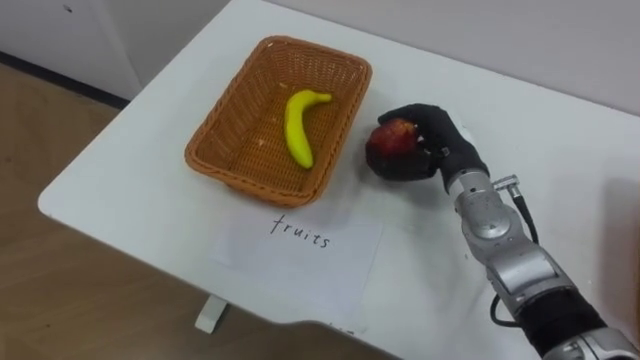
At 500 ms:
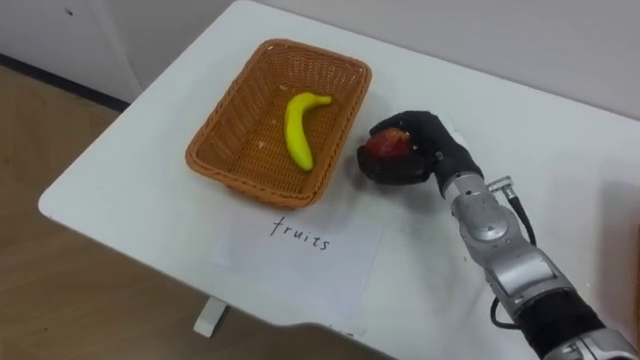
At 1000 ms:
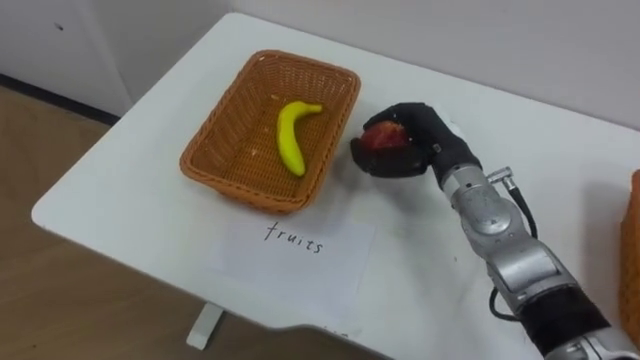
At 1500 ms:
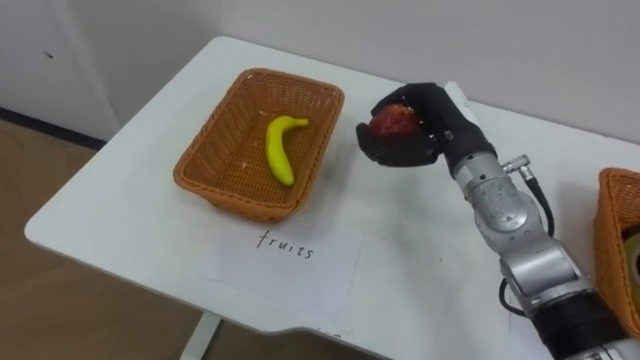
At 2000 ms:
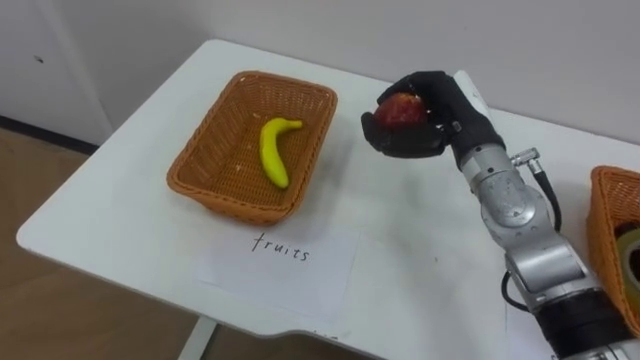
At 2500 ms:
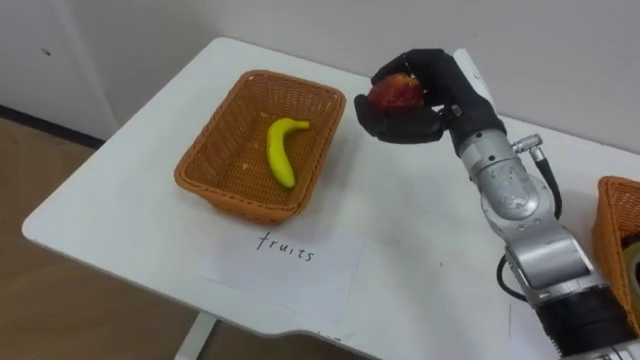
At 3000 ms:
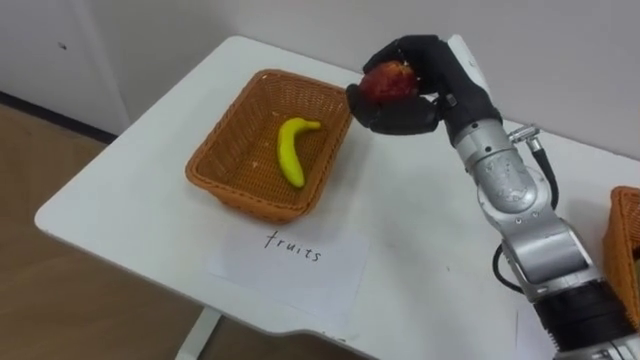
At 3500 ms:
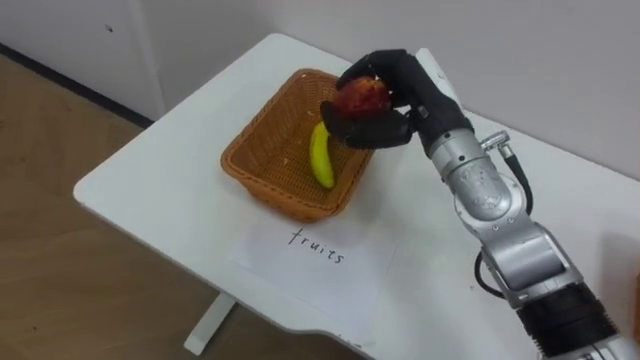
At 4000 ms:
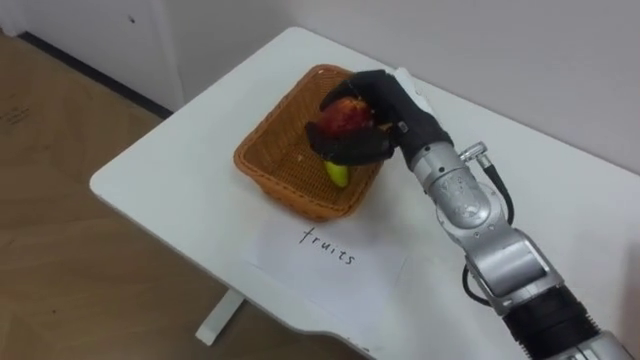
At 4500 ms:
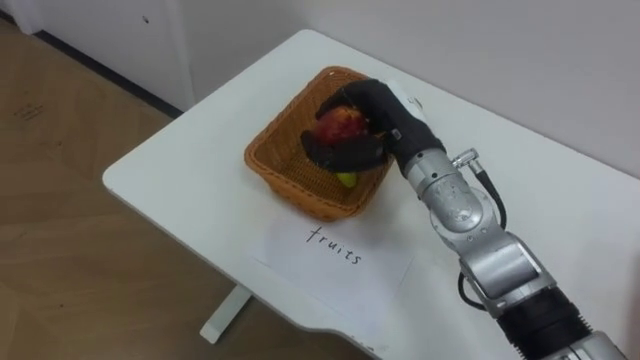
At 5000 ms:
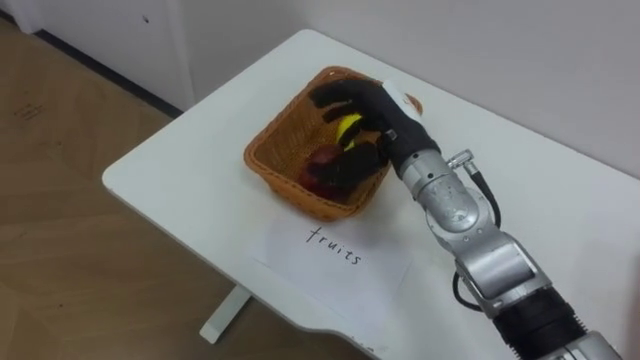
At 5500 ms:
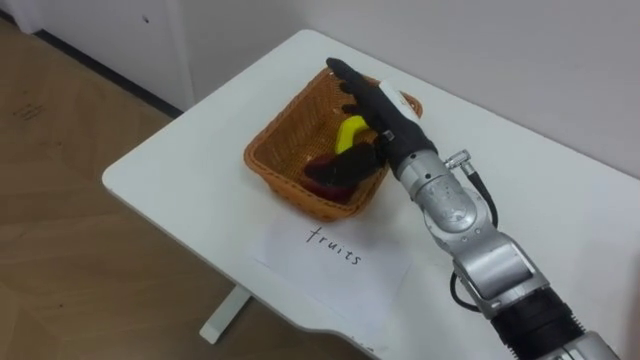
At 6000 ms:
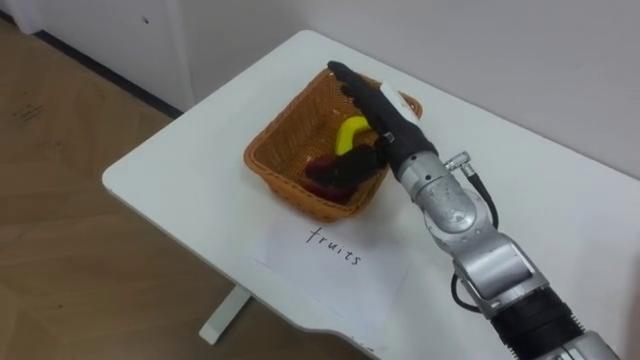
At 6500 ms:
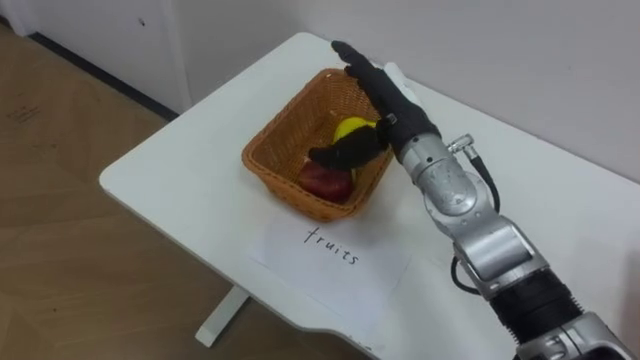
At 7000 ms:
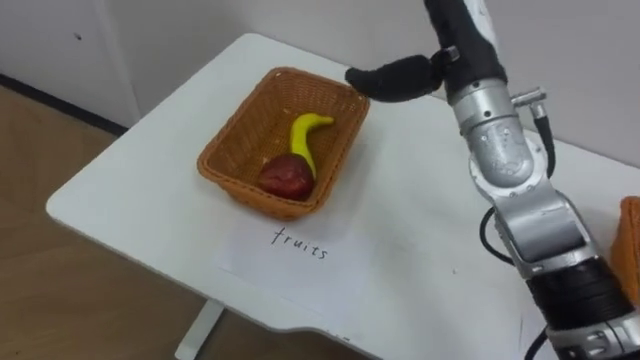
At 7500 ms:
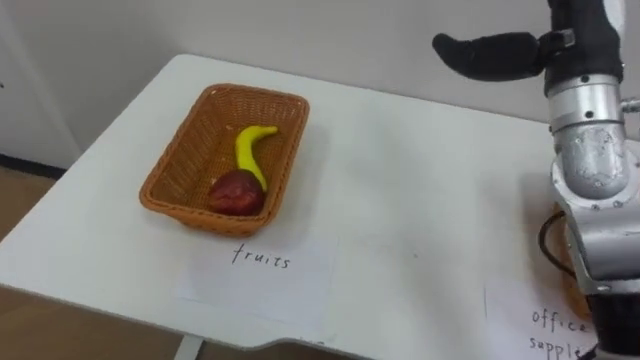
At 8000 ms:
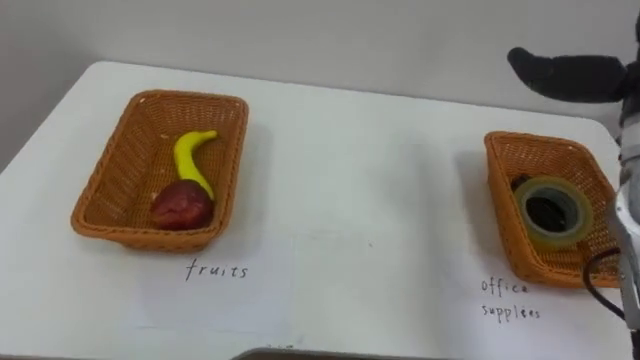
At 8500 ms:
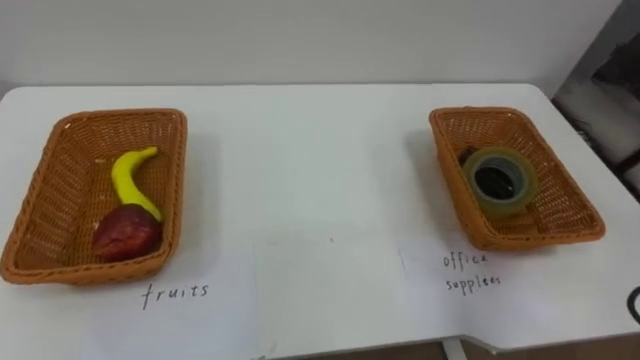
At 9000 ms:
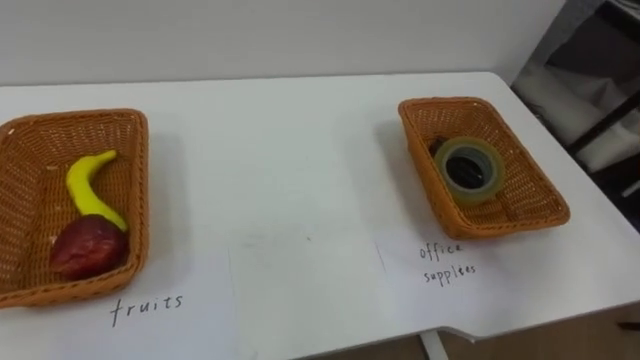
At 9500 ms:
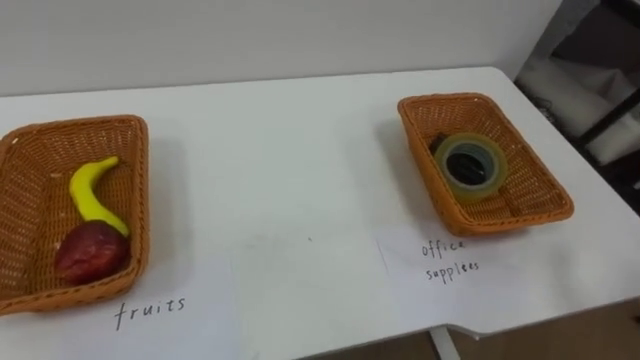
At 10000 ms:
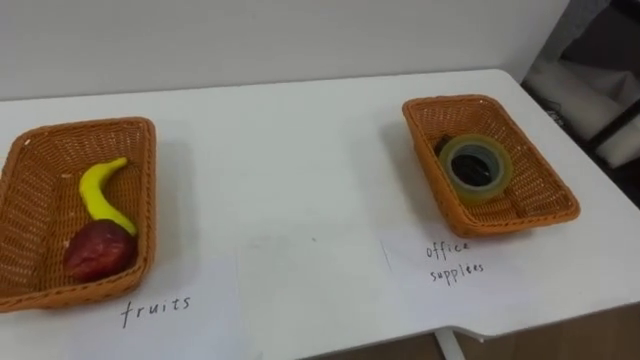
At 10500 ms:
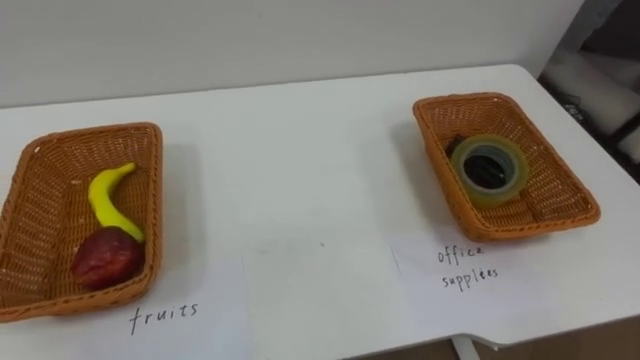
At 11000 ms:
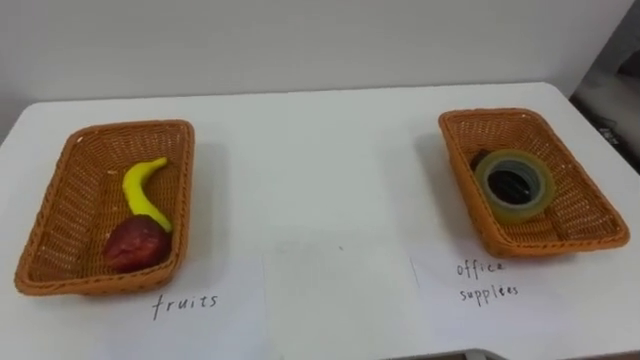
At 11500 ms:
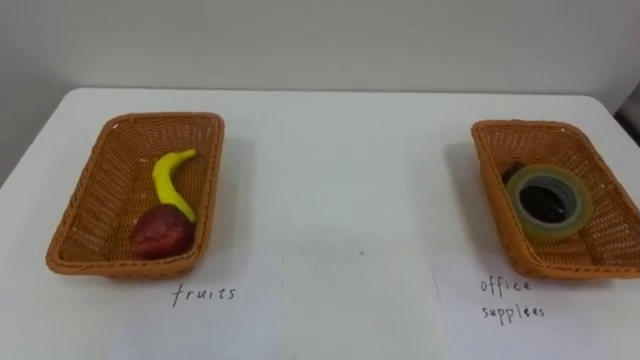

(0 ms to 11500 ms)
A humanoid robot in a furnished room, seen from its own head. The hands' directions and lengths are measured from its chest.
Task of the whole recording: Separate the items on the table and place them into the two baskets.
0 ms - 2000 ms: The right hand shifts some 5 cm upward.
2000 ms - 4000 ms: The right hand travels to the left by roughly 5 cm.
4000 ms - 6000 ms: The right hand opens.
6000 ms - 7500 ms: The right hand moves to the right and upward, approximately 20 cm.

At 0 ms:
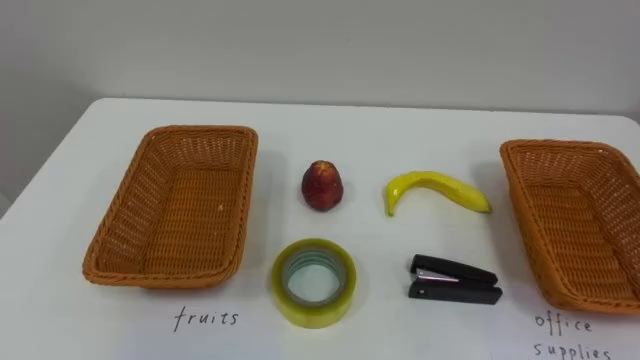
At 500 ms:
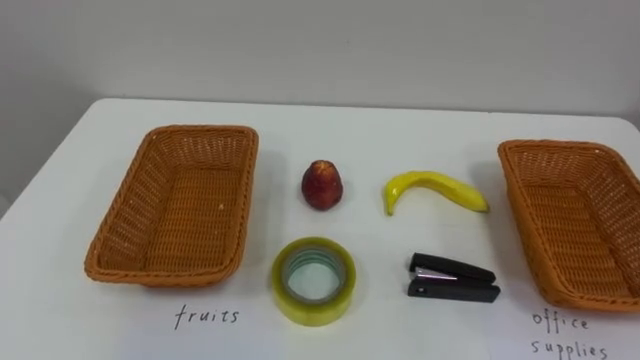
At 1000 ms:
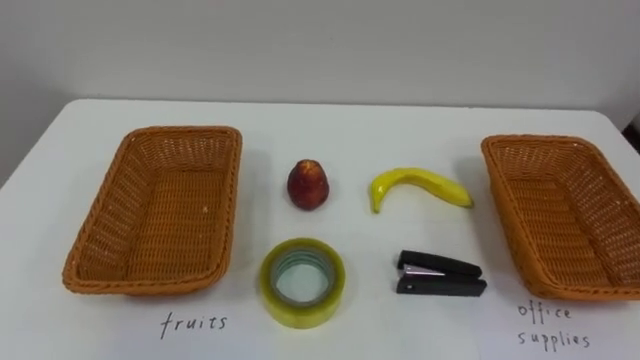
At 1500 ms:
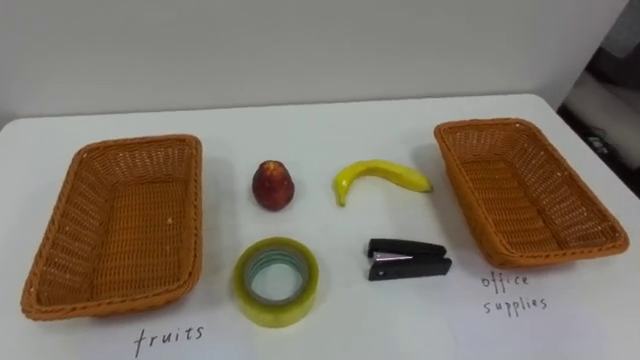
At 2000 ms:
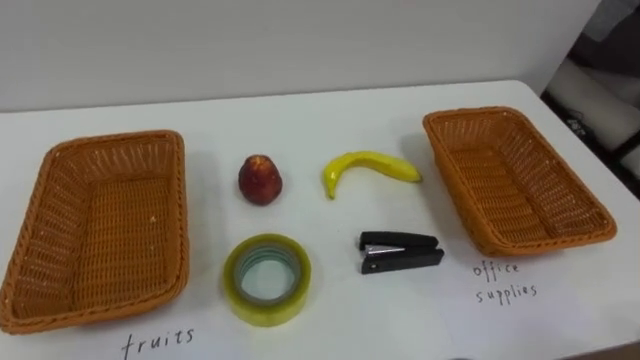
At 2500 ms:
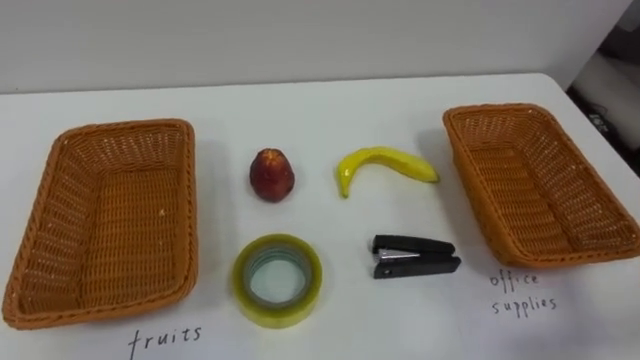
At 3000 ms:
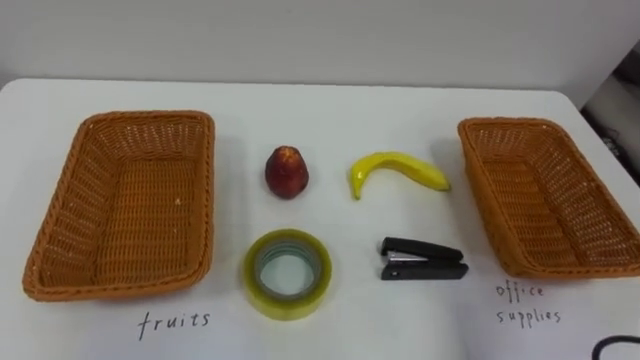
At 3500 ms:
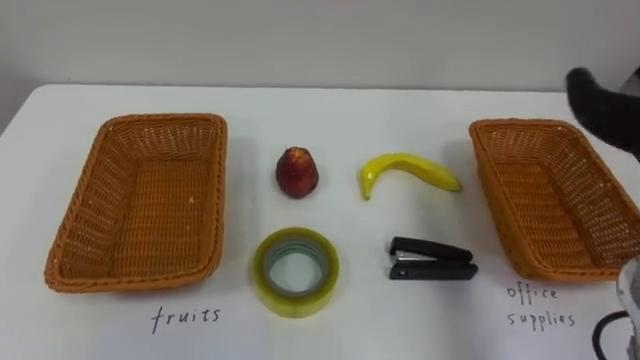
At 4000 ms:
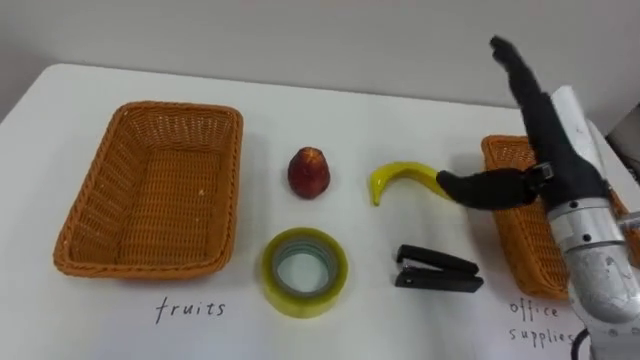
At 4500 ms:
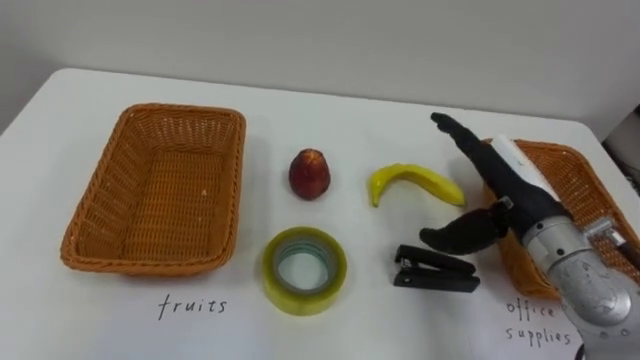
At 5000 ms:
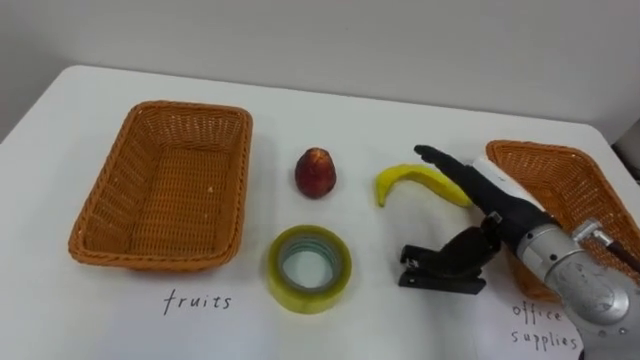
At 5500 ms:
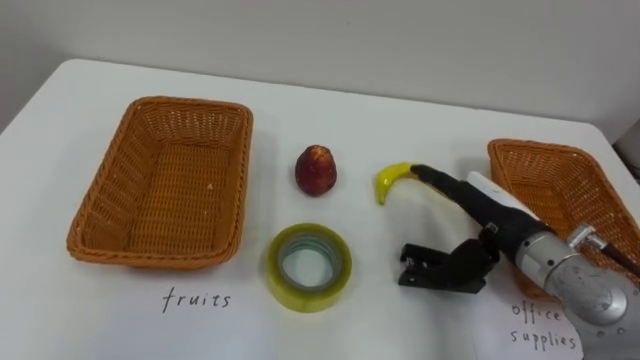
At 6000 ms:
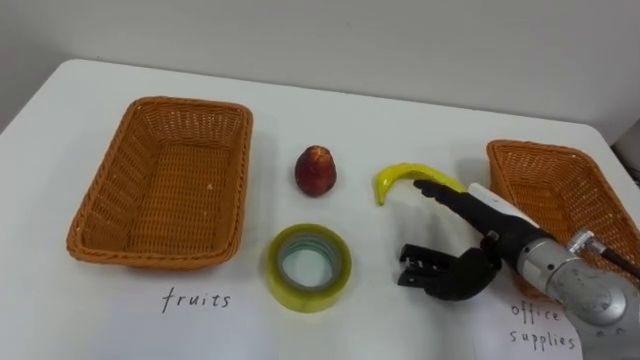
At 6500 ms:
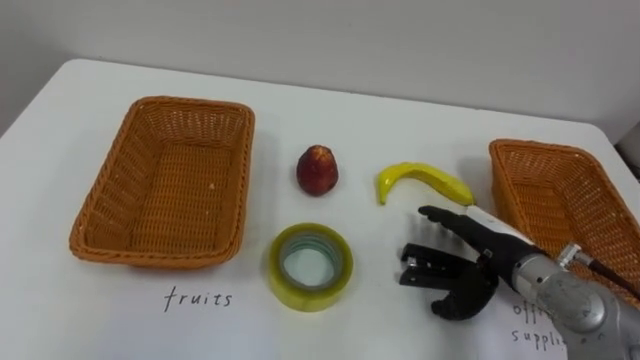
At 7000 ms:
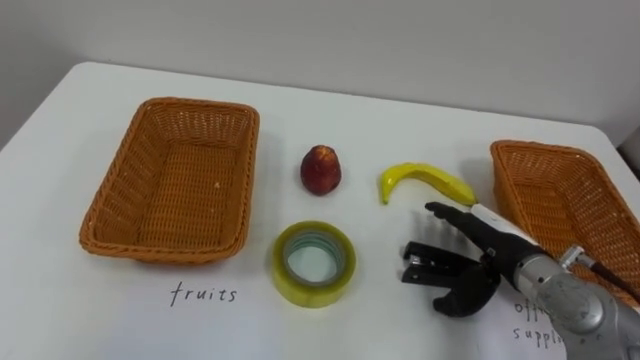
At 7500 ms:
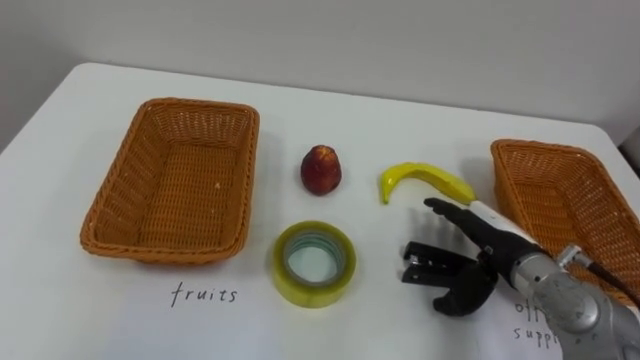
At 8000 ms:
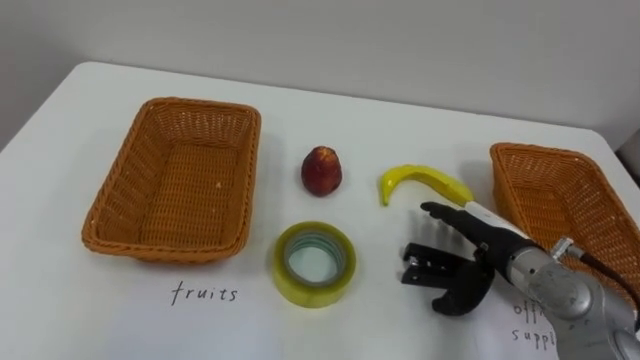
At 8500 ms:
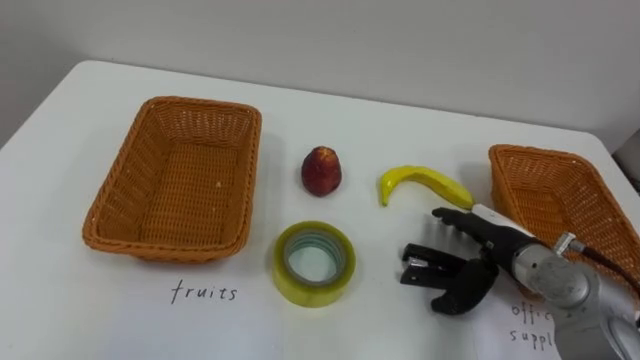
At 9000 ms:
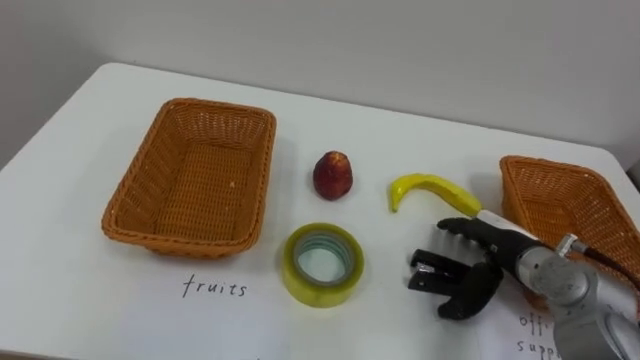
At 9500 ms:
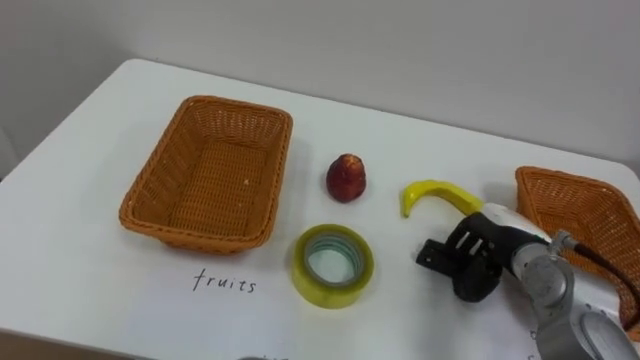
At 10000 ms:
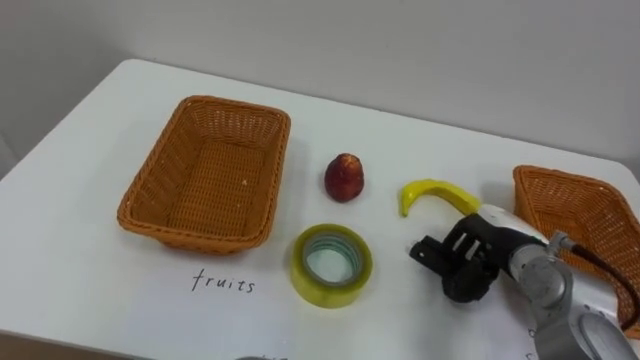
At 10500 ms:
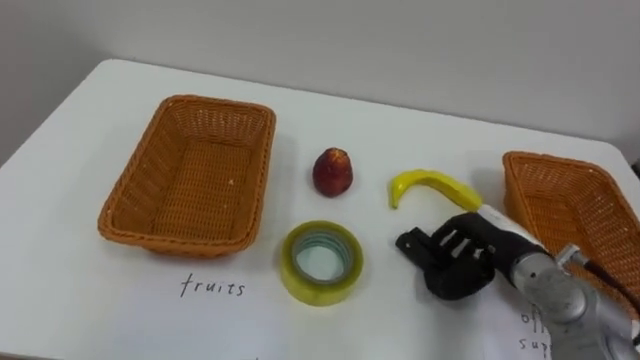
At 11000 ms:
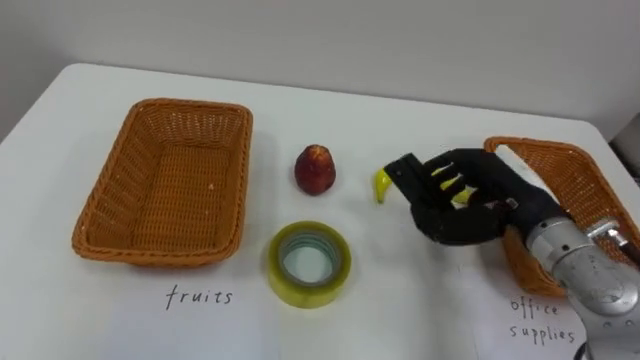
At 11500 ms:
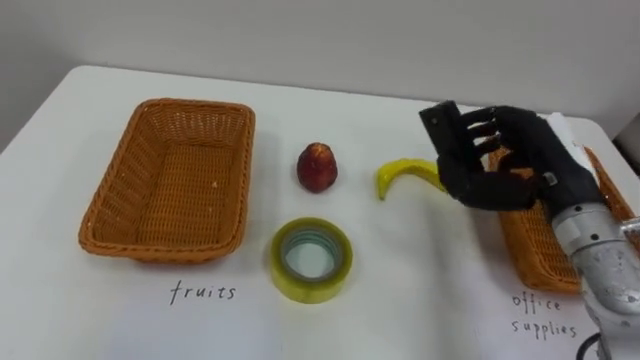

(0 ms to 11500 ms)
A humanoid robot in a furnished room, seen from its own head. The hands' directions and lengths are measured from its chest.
Task of the whole recording: Separate the items on the table and place them into the two baskets.
4000 ms - 6000 ms: The right hand shifts approximately 10 cm downward.
7500 ms - 9500 ms: The right hand closes.
9500 ms - 11500 ms: The right hand goes some 15 cm upward.
